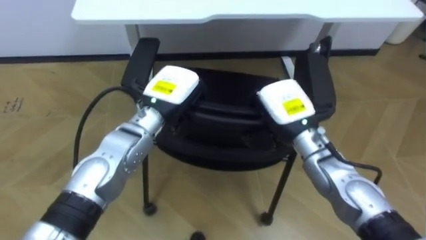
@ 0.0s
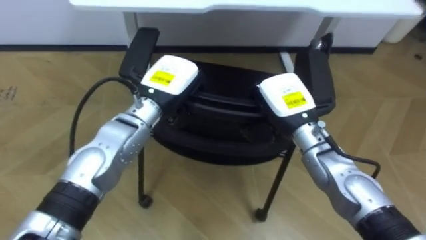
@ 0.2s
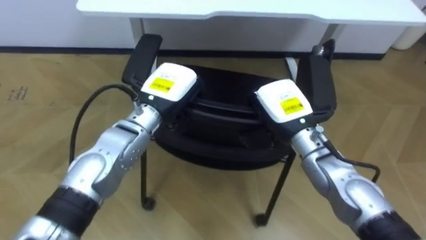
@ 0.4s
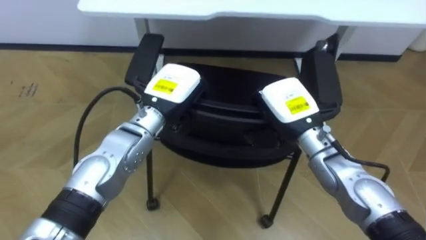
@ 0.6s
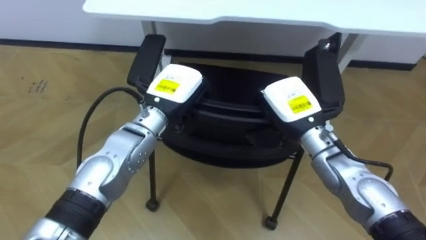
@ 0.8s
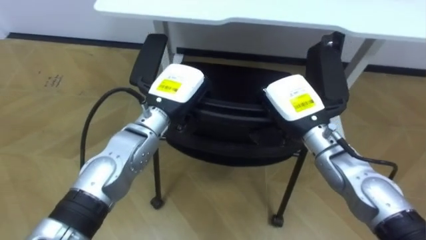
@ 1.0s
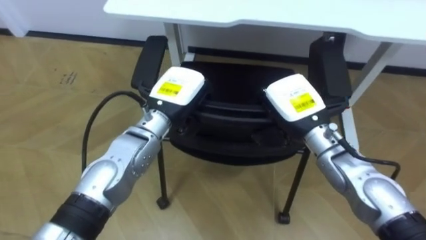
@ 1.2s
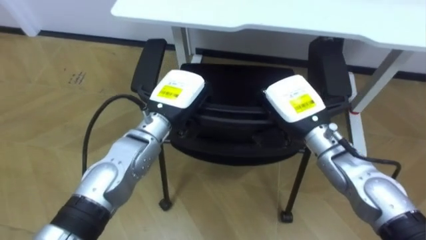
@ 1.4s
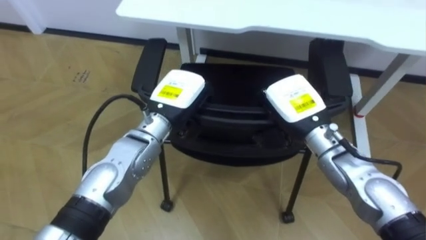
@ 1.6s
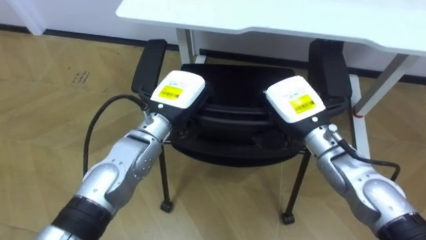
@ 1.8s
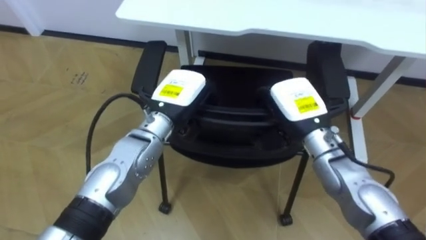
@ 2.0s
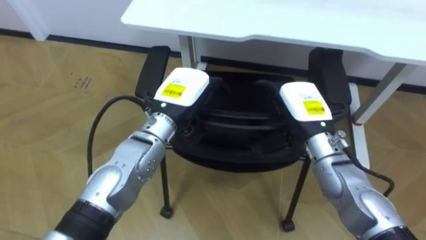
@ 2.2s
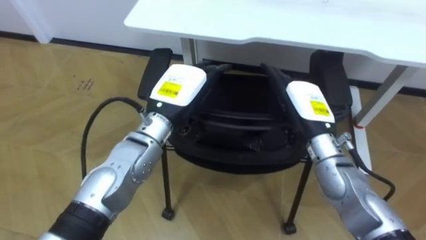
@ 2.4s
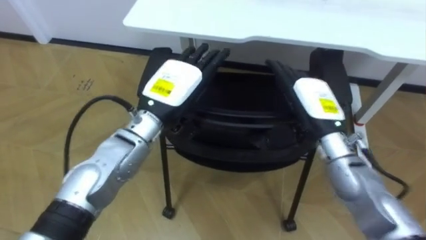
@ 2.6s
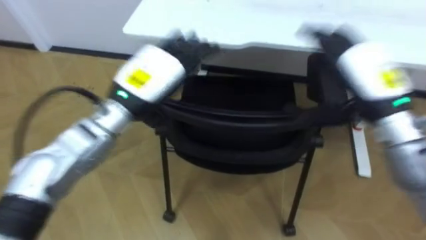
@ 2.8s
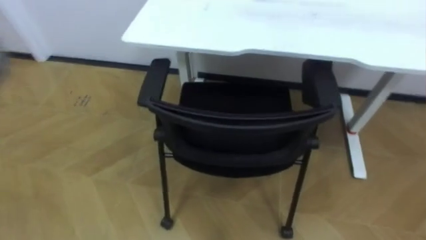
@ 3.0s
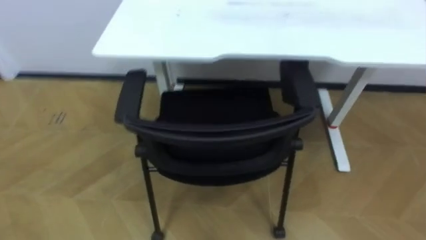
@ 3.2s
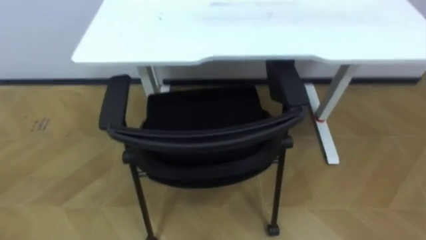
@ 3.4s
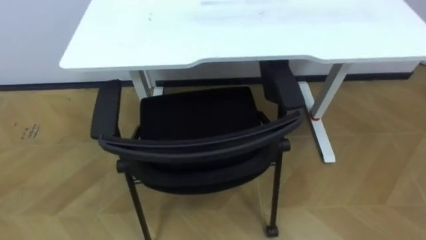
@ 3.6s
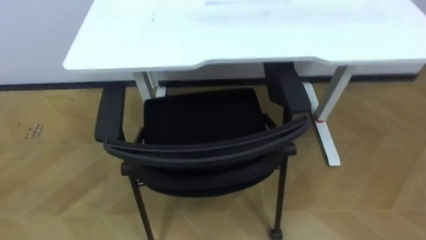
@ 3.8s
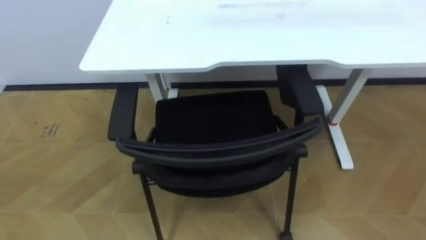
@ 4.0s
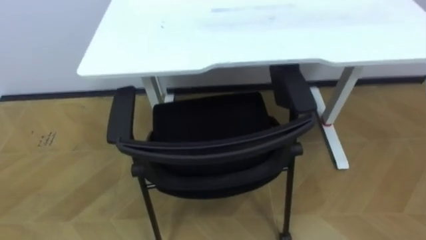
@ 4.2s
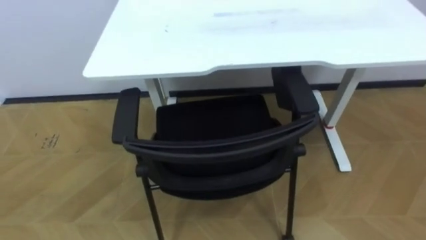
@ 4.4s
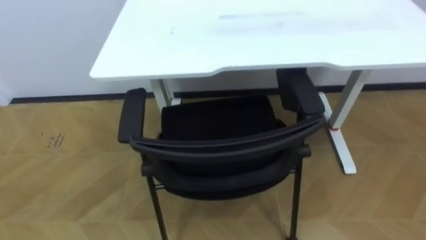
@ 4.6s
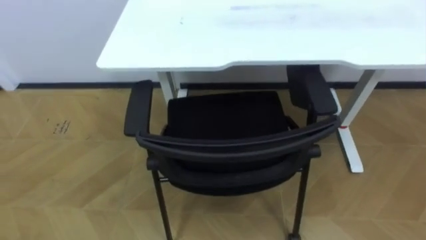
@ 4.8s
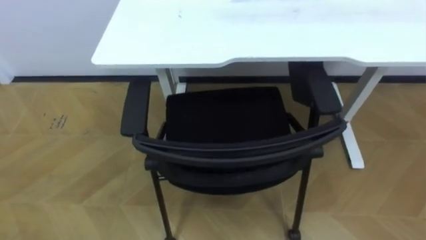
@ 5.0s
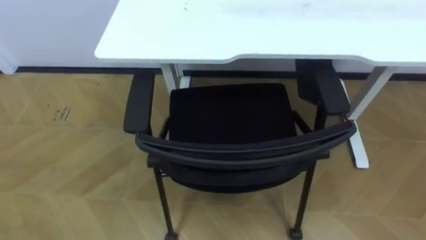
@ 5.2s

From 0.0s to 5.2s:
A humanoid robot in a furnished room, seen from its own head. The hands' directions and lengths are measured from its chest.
Task of the whole recording: Push the chair under the table.
From 0.0s to 1.8s: The robot faces some 25 degrees further to its left.

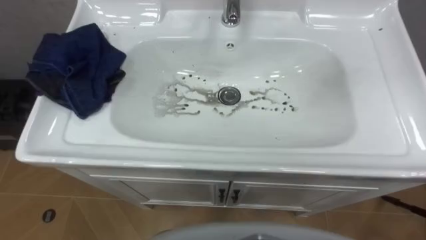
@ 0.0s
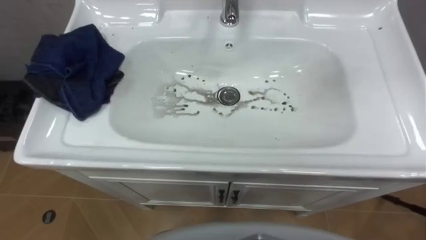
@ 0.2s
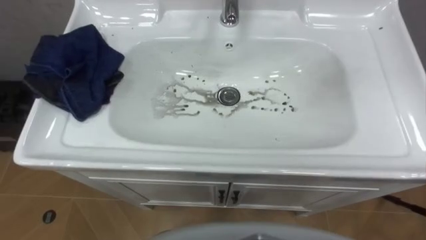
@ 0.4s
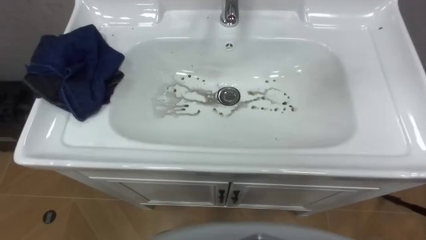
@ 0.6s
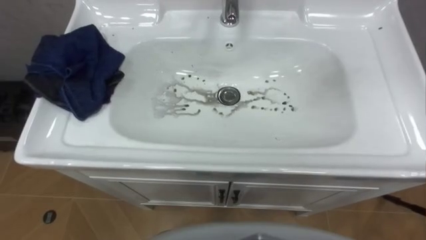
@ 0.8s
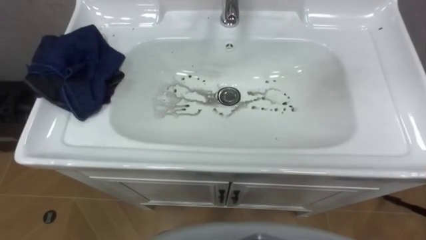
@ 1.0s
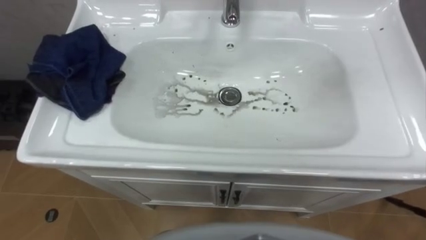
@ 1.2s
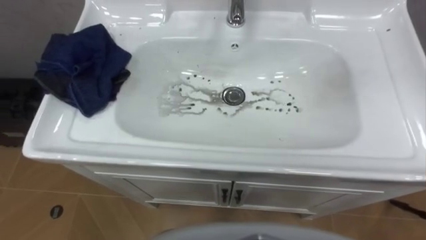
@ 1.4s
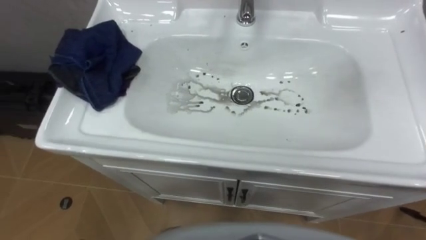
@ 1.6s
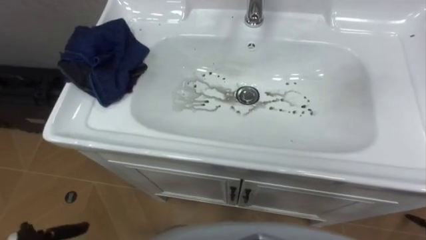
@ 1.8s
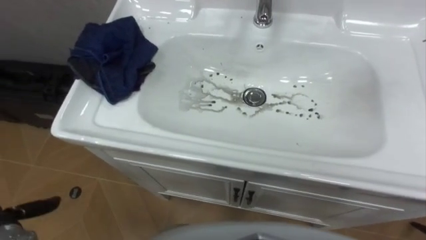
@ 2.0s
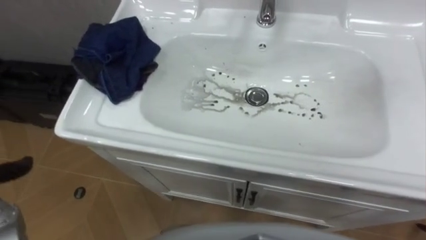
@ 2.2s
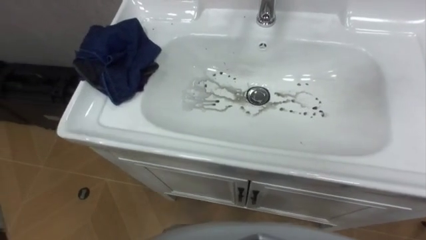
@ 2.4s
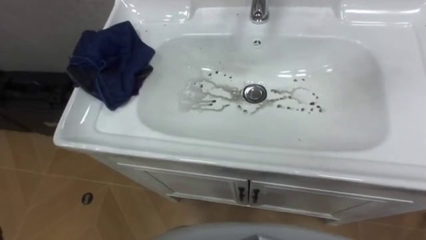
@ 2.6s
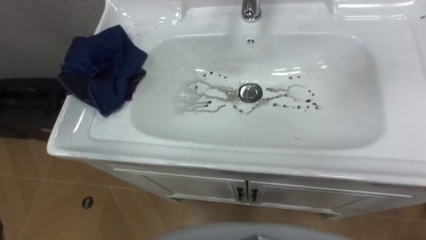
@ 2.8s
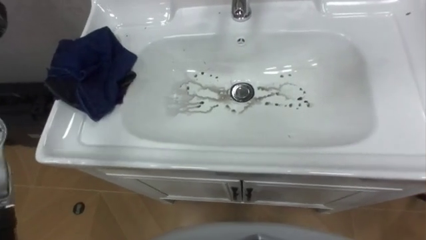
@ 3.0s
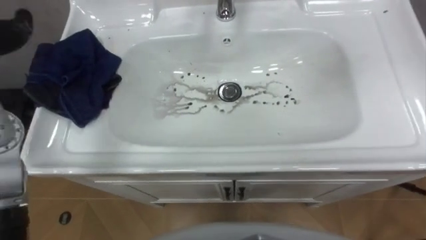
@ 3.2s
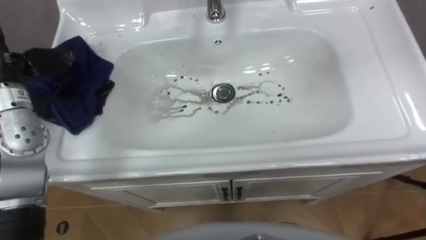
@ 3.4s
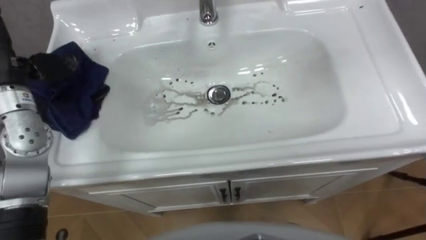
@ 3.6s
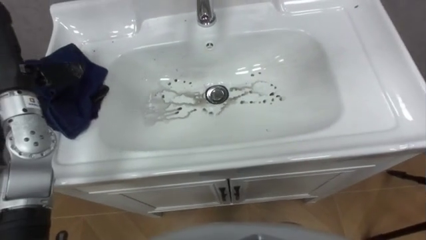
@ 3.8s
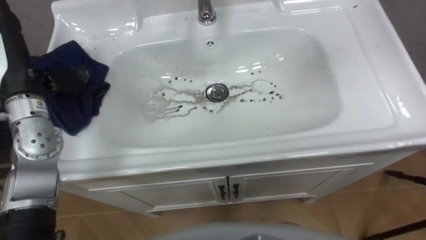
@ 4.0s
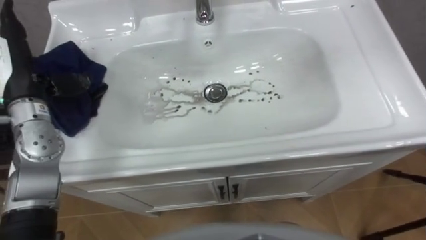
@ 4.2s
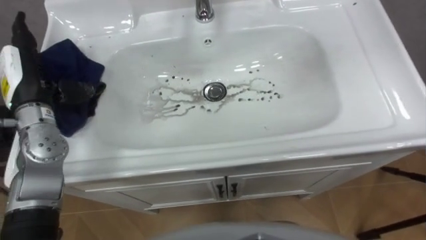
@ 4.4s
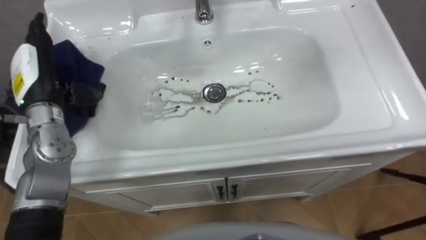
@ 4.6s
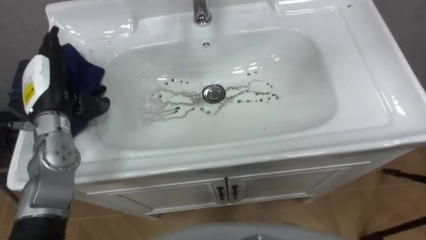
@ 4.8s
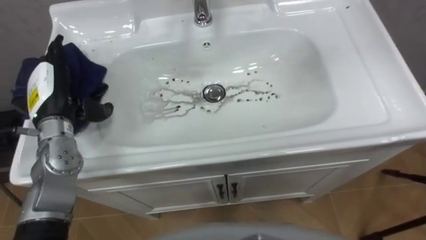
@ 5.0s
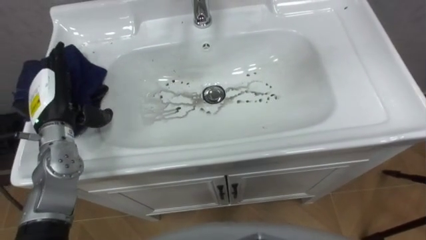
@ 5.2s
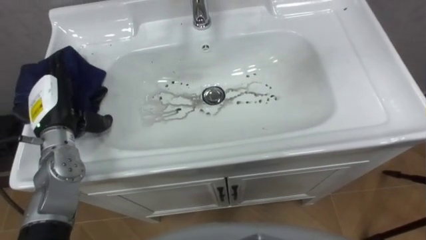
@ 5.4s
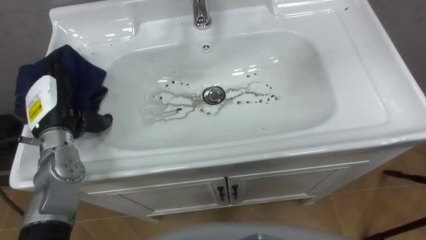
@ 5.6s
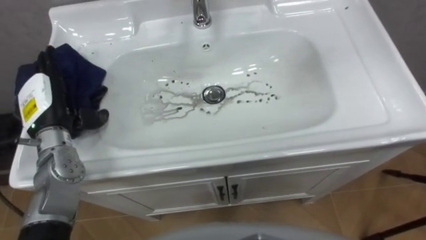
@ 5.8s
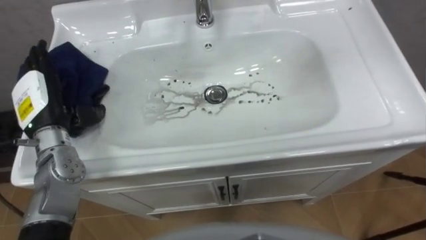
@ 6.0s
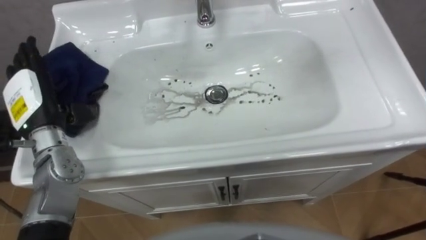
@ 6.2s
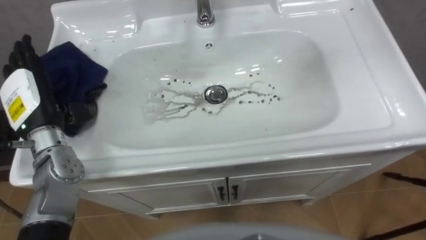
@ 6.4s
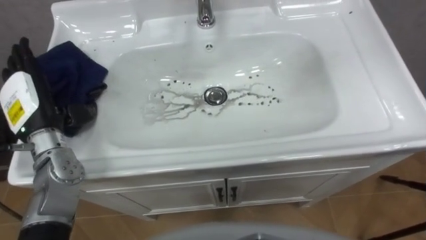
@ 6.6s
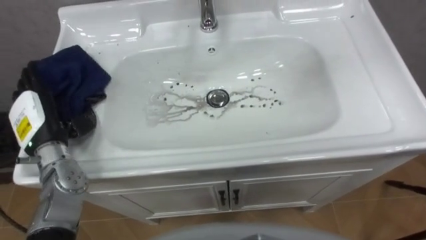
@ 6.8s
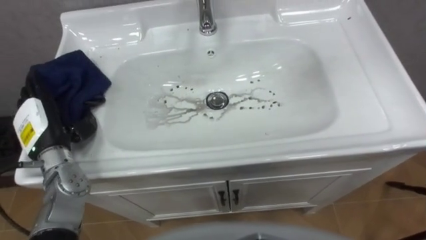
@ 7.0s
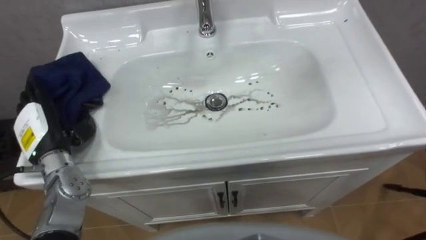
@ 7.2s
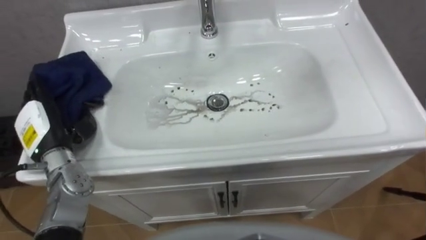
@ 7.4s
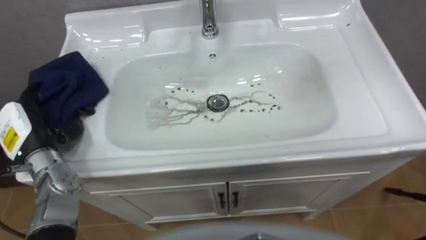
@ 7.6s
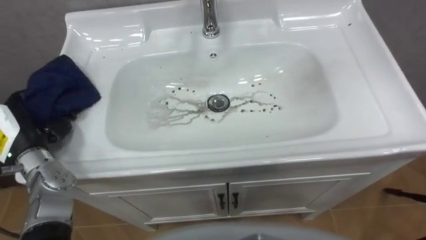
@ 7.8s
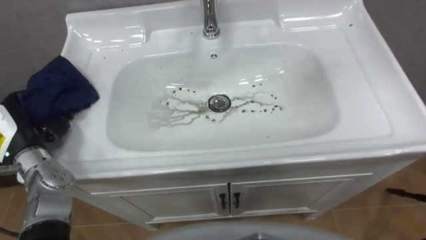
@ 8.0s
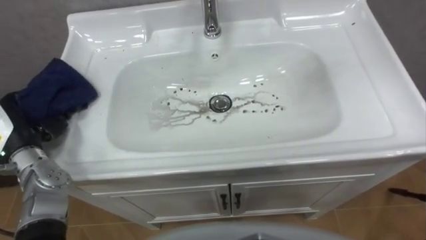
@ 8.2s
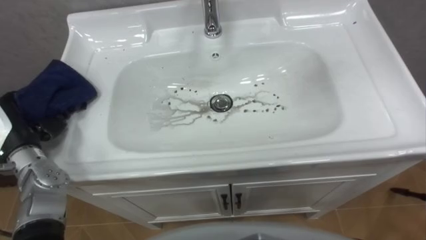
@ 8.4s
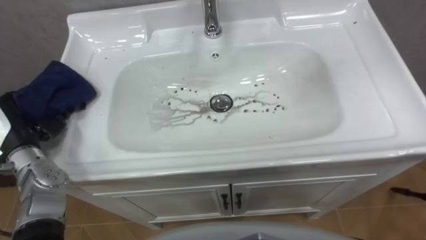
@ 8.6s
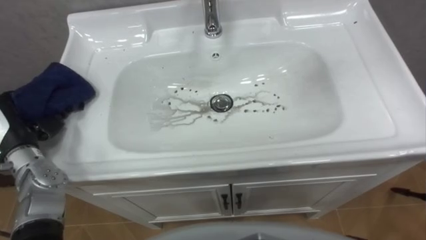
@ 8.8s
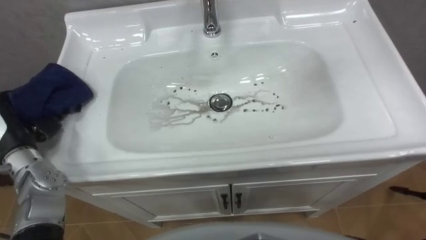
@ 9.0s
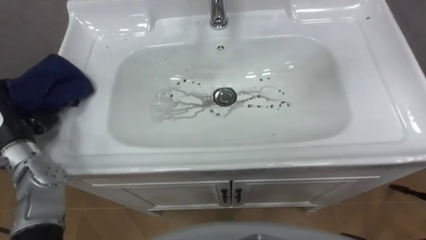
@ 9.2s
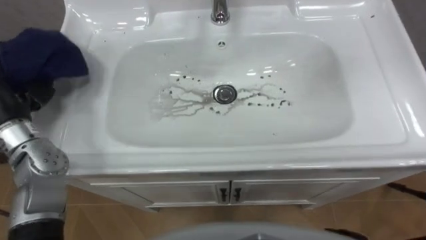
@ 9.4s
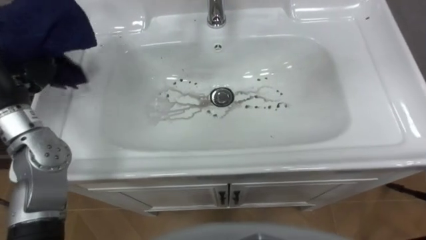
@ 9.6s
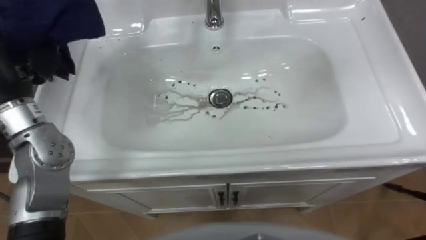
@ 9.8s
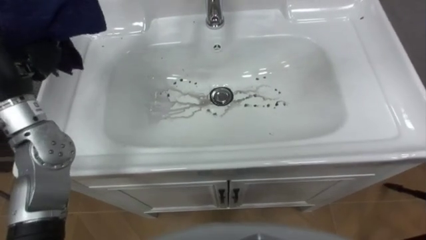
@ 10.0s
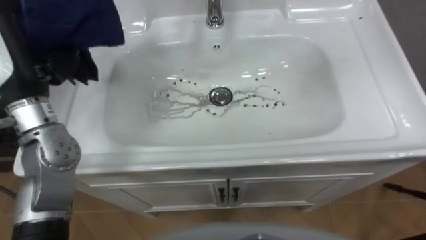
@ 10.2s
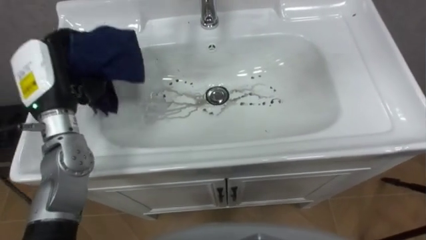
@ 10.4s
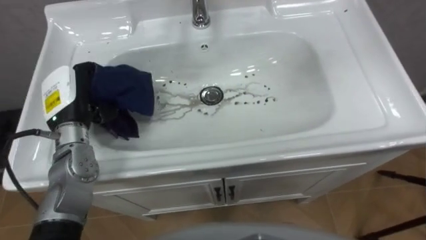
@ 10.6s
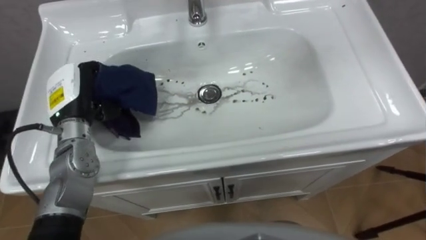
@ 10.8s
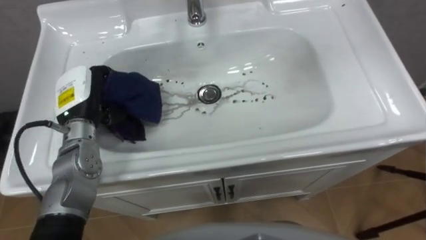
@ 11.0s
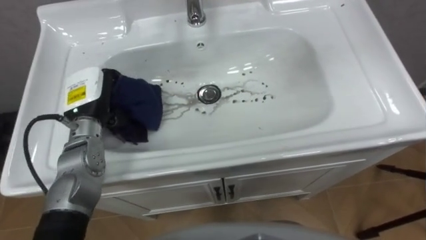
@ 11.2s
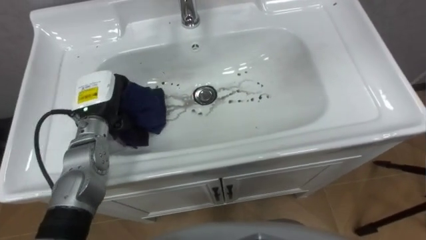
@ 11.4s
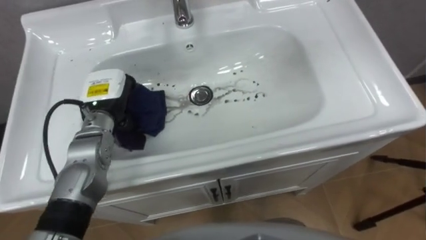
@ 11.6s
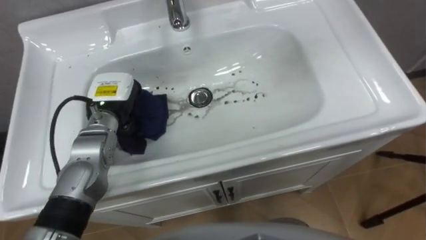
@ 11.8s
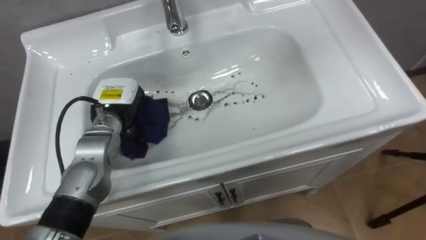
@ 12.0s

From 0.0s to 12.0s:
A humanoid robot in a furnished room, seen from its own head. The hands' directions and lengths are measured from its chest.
Task of the whole recording: Use the cloth on the right to wipe away the black stain in the sink.
From 6.0s to 7.6s: The left hand shifts by roughly 5 cm, and closes.
From 10.4s to 12.0s: The left hand travels downward and to the right by roughly 15 cm.
